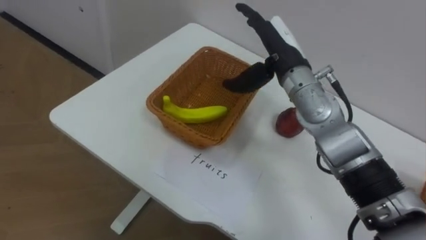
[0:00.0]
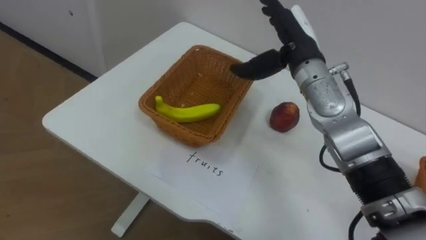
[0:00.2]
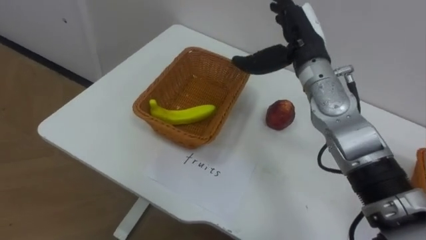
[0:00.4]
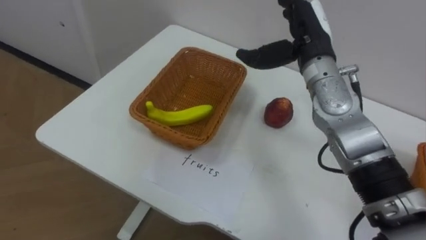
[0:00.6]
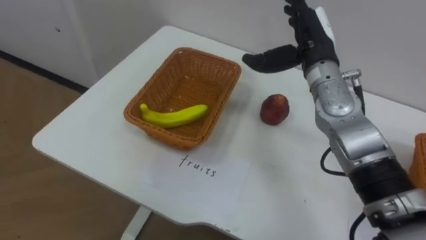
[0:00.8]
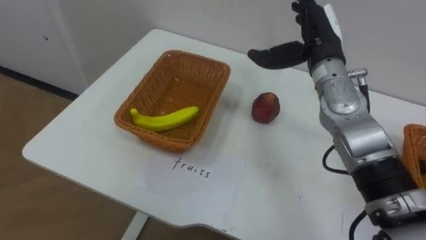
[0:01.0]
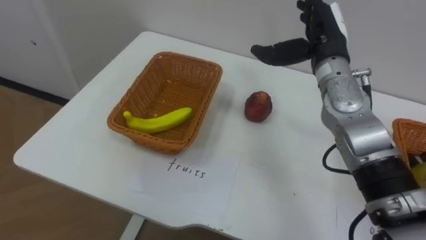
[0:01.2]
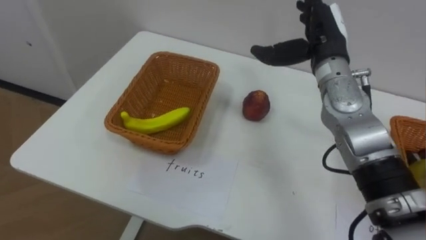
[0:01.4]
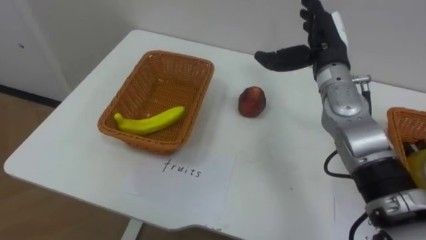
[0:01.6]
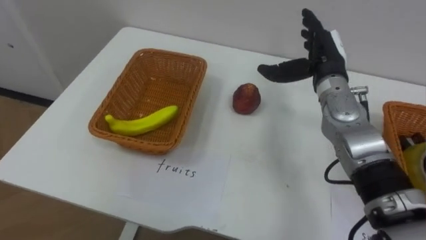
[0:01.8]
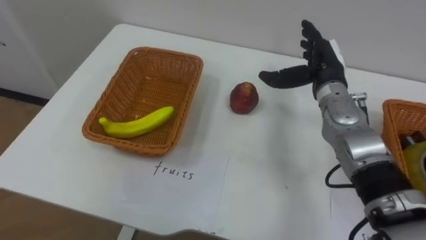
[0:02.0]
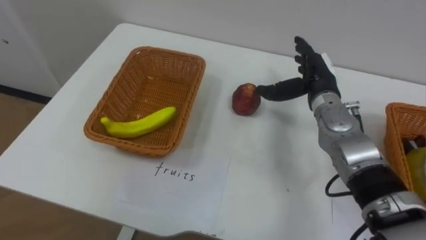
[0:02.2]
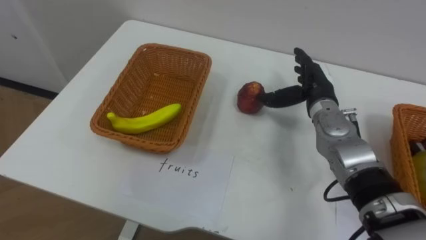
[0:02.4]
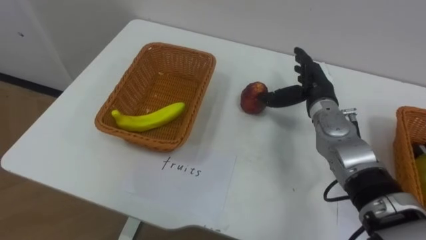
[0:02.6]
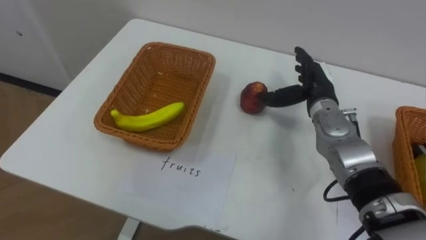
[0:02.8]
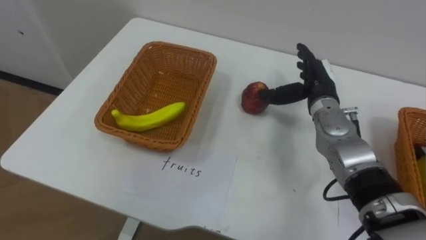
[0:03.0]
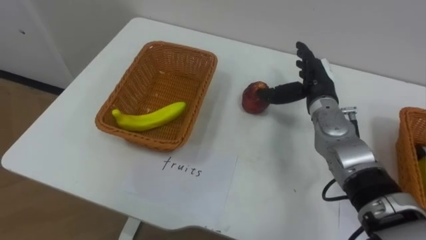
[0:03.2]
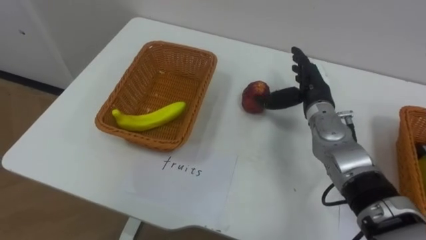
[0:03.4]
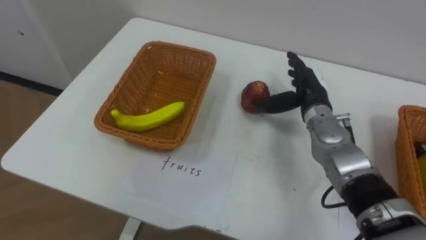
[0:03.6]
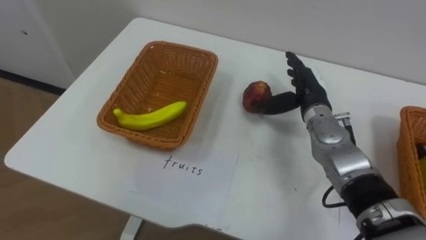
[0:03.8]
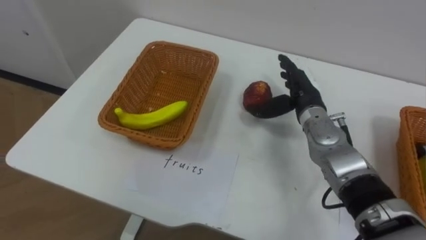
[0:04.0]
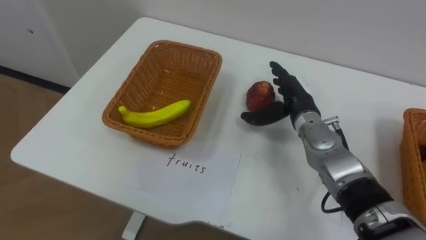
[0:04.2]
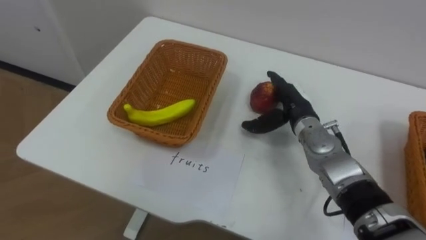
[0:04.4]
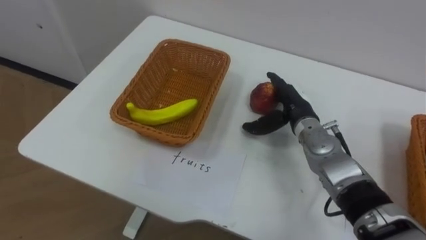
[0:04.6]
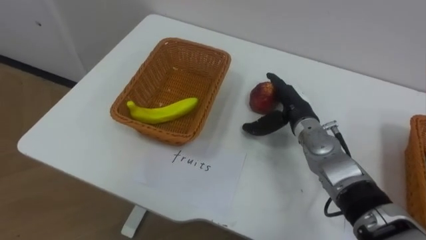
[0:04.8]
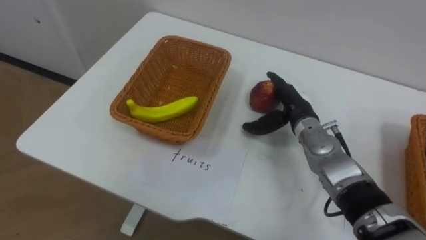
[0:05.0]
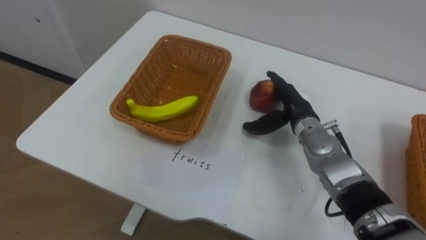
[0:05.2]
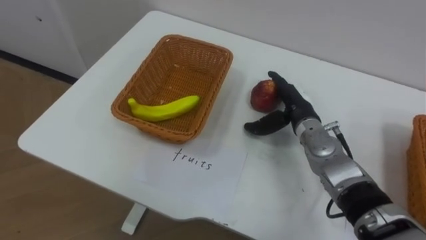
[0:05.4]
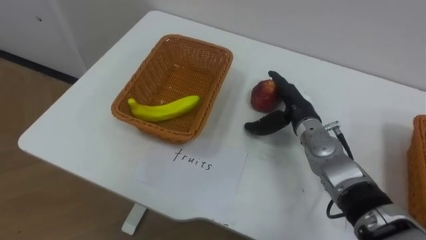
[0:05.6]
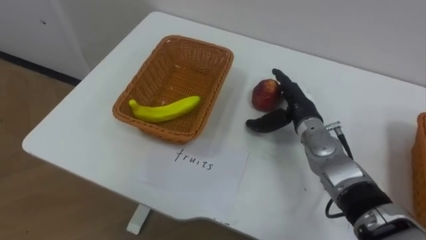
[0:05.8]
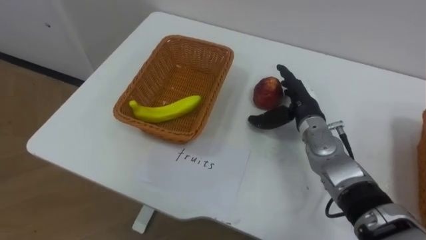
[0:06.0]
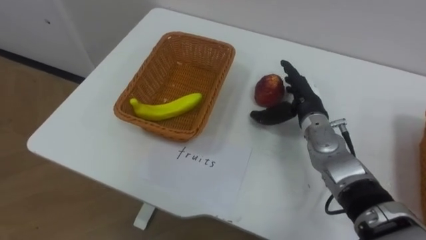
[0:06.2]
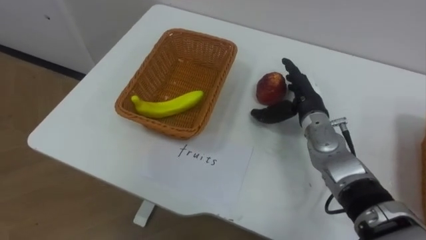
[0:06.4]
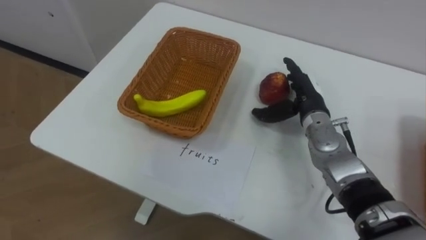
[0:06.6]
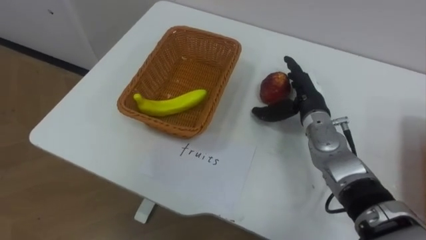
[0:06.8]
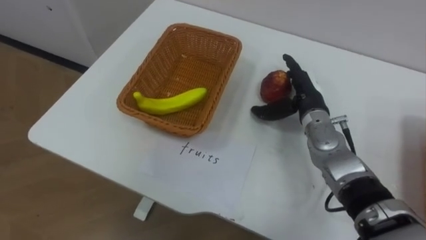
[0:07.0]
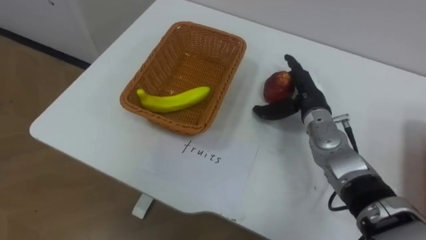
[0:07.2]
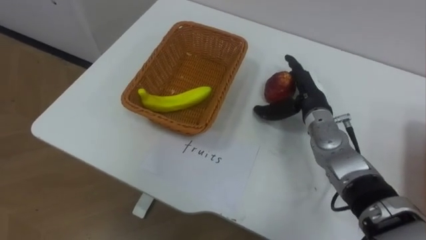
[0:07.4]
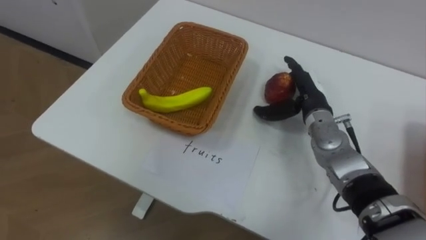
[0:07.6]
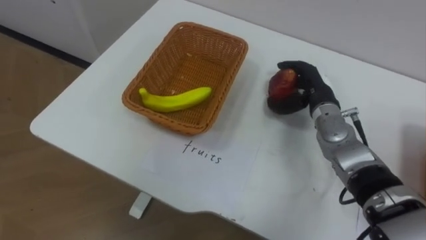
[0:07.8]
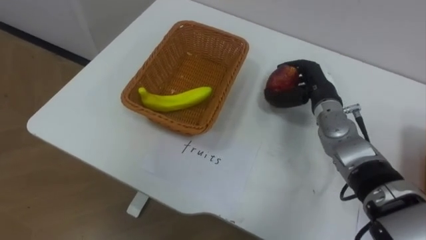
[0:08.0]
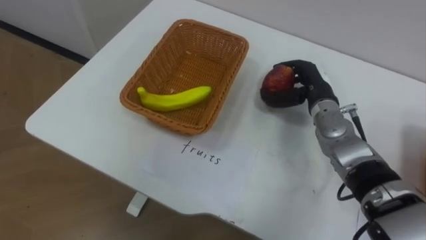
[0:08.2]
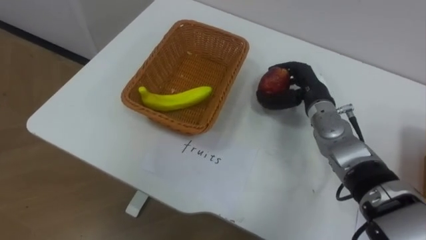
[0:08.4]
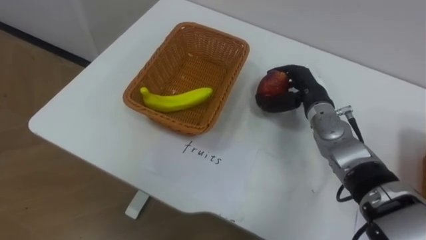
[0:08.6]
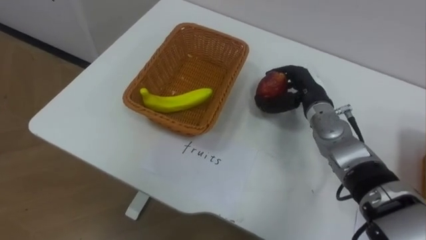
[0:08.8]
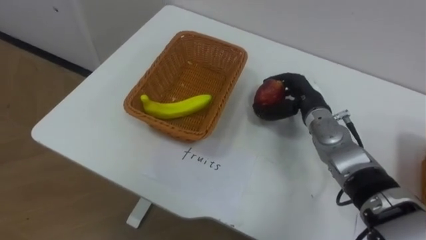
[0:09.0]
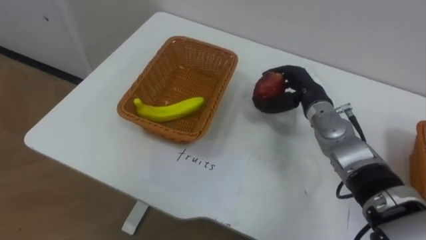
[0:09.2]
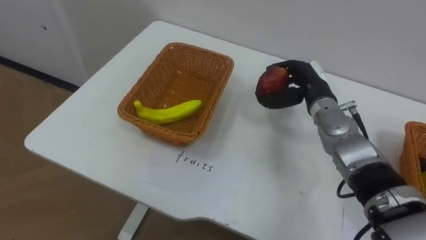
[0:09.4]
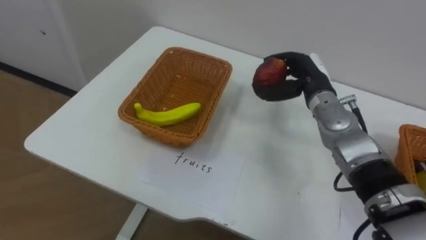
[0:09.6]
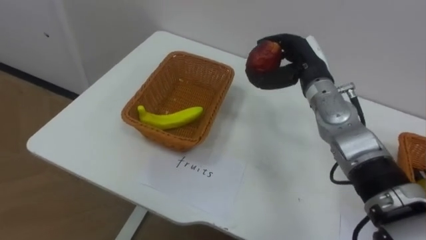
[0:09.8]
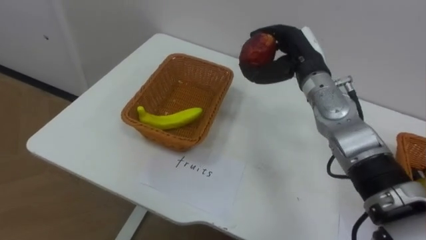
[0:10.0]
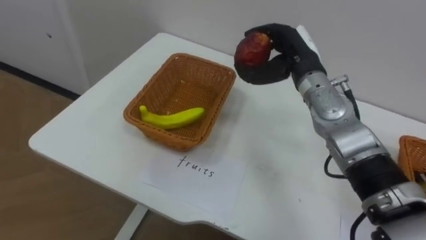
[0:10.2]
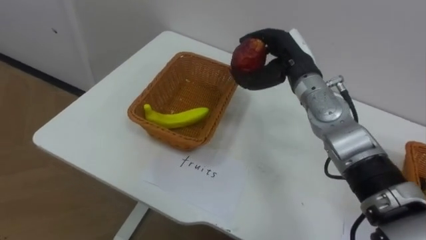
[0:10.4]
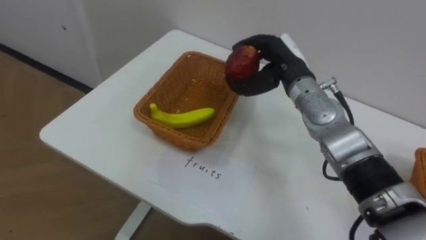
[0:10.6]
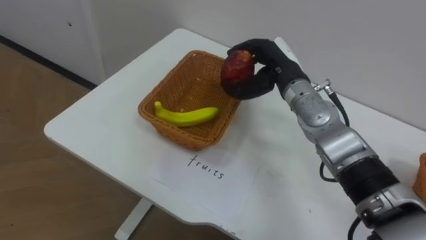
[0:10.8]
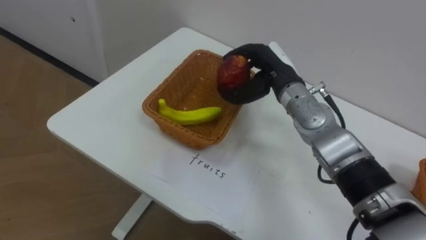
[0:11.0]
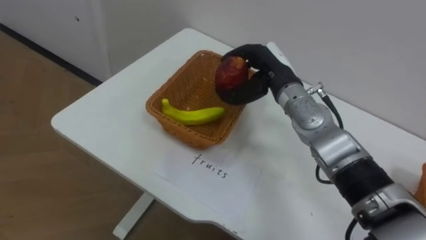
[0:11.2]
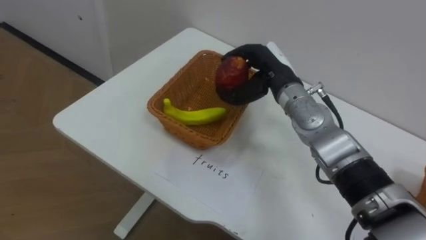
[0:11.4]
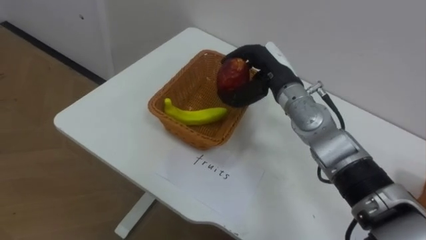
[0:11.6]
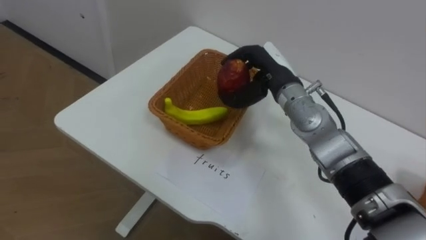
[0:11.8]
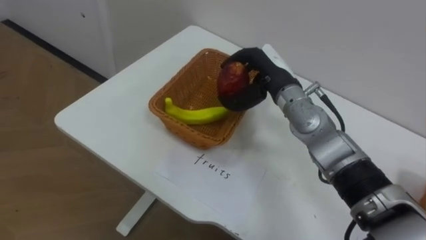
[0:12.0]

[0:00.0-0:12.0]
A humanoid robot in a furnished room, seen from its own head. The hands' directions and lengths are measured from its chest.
Task of the whole recording: Separate the items on the table and place them into the two baskets.
0:00.0 to 0:01.6: The right hand is displaced to the right by about 10 cm.
0:01.6 to 0:03.0: The right hand shifts approximately 10 cm downward.
0:03.0 to 0:04.4: The right hand ends up some 5 cm from where it was.
0:07.6 to 0:09.0: The right hand closes up.
0:09.0 to 0:10.4: The right hand is displaced upward by about 10 cm.

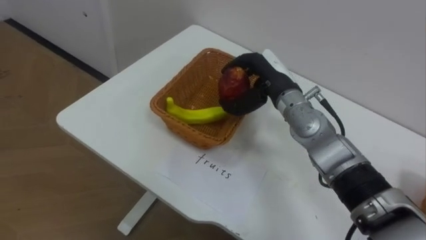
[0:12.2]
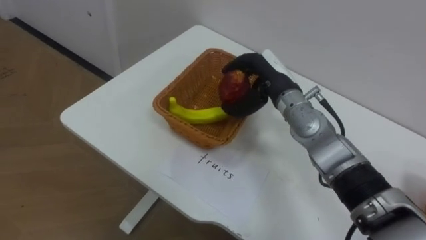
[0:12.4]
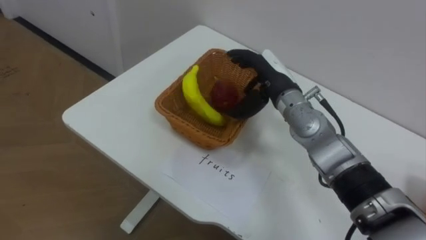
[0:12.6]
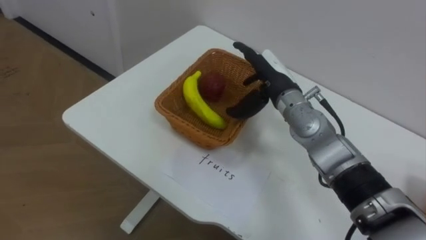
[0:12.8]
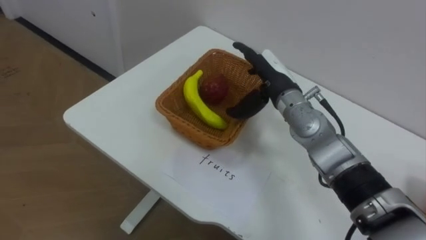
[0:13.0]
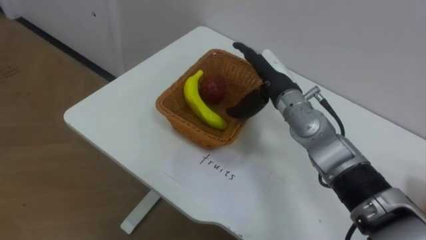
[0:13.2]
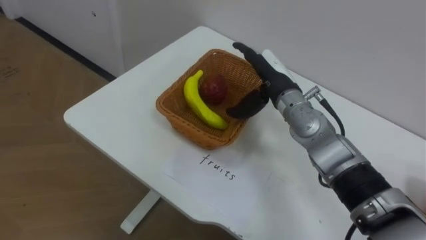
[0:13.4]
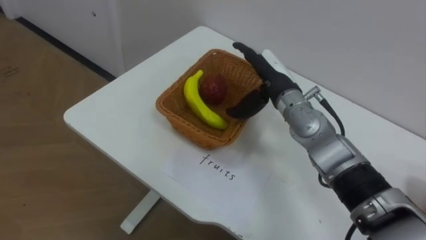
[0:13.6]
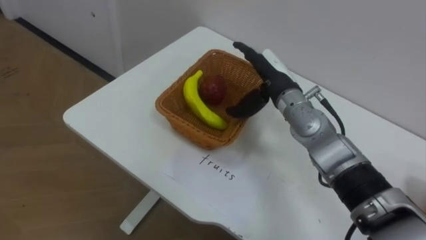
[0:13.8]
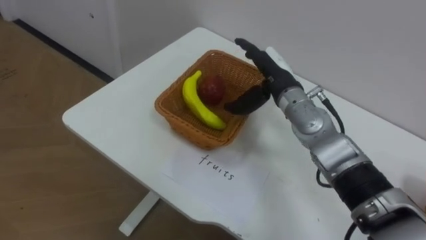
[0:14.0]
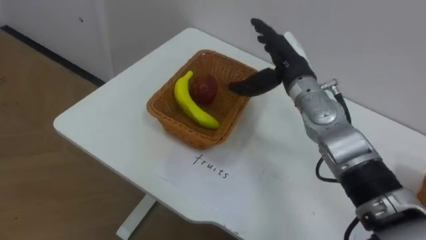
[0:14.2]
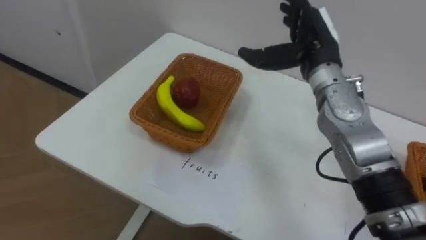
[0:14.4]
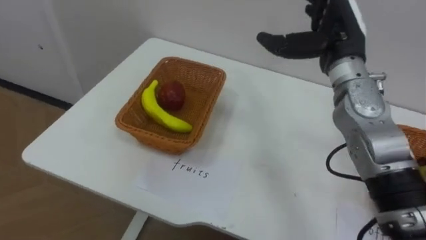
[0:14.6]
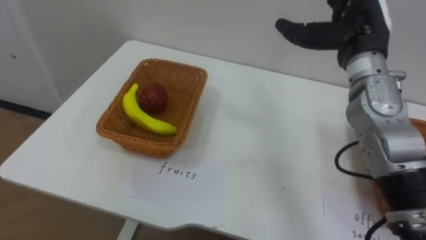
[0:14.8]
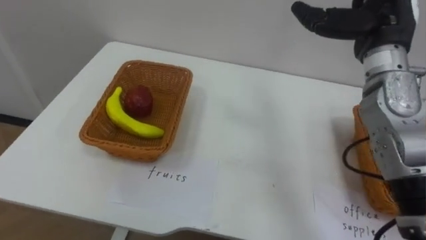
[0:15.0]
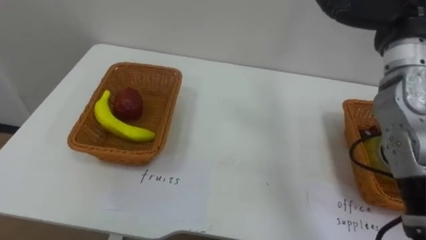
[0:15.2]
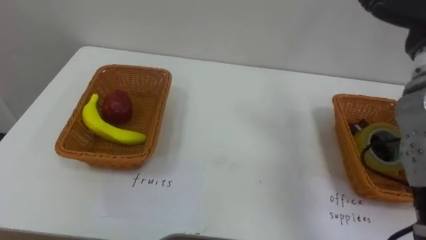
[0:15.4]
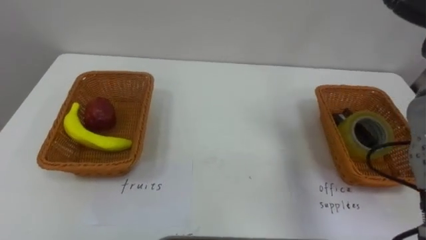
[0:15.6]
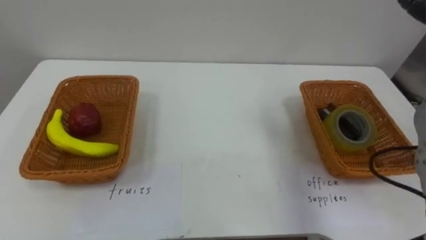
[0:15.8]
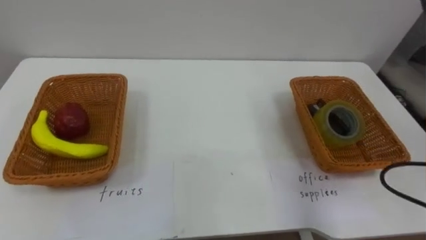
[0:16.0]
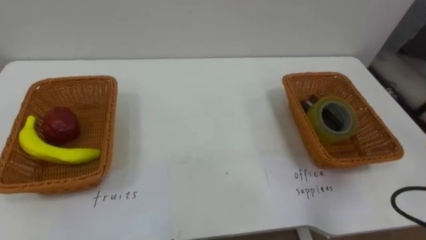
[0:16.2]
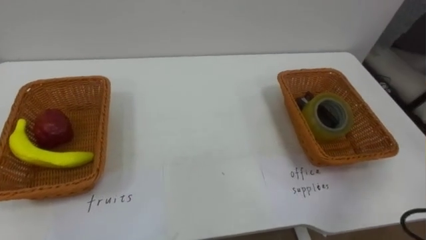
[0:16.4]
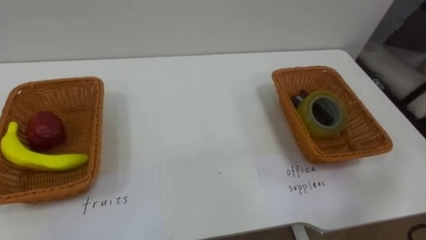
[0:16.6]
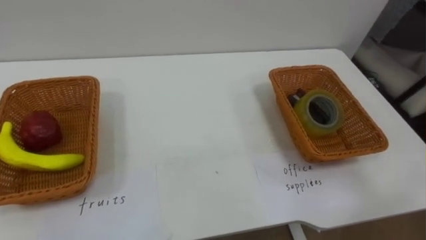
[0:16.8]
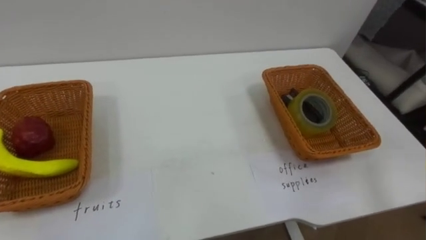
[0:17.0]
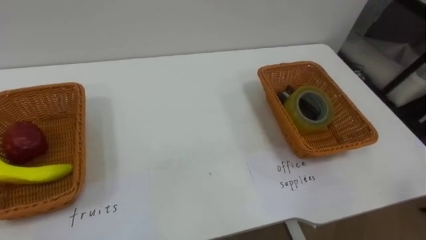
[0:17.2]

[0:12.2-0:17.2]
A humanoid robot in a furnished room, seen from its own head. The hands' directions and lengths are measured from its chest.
Task of the whole recording: Separate the items on the table and place them into the two baskets.
0:12.2 to 0:13.8: The right hand opens its fingers.
